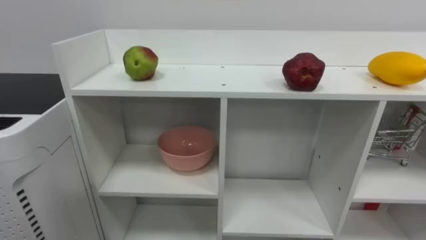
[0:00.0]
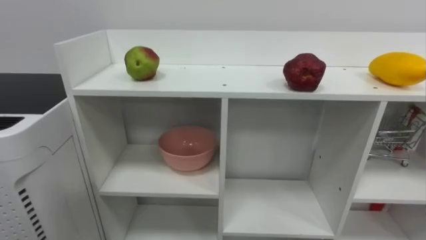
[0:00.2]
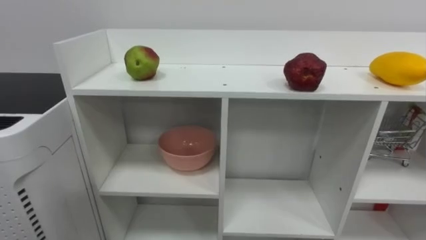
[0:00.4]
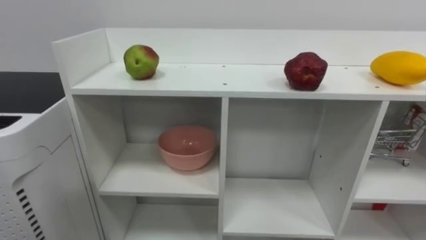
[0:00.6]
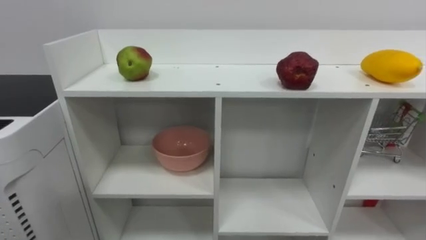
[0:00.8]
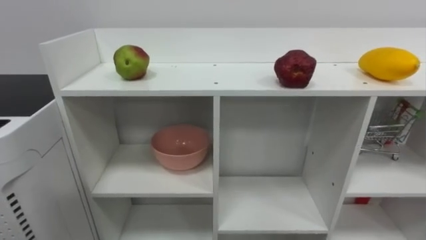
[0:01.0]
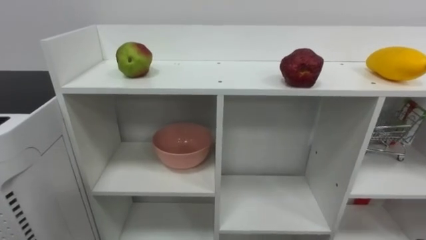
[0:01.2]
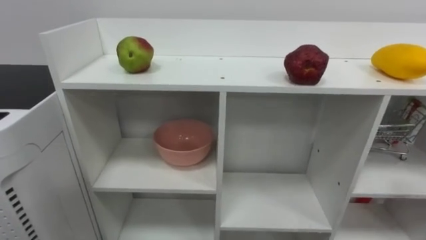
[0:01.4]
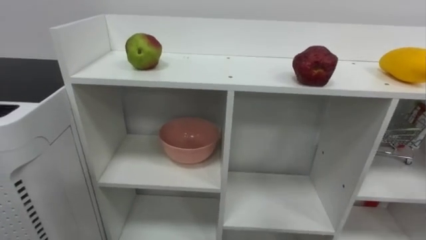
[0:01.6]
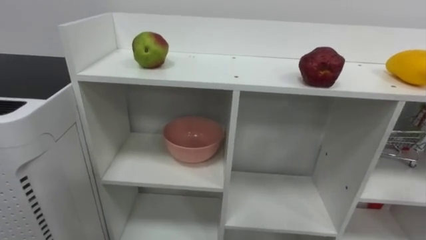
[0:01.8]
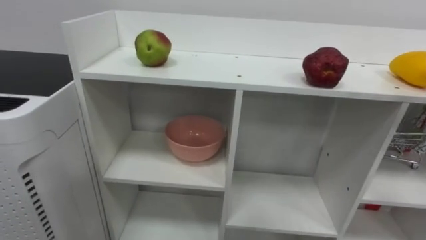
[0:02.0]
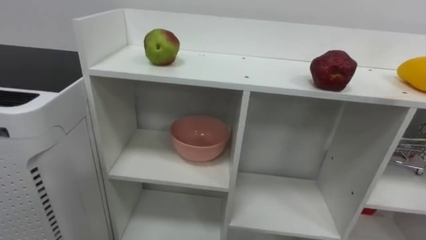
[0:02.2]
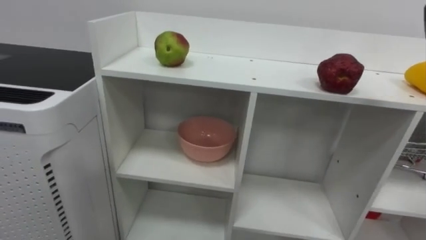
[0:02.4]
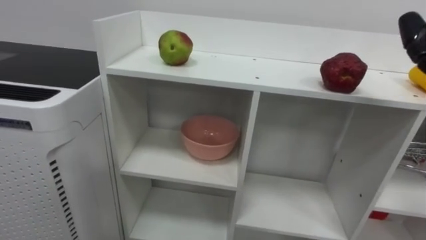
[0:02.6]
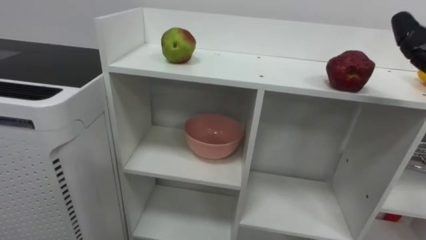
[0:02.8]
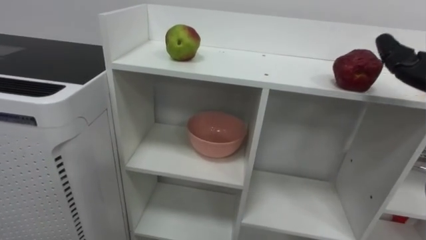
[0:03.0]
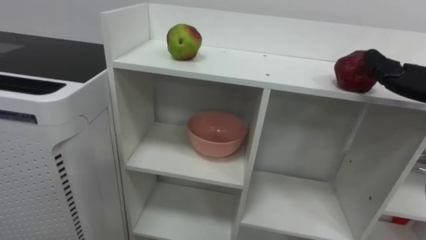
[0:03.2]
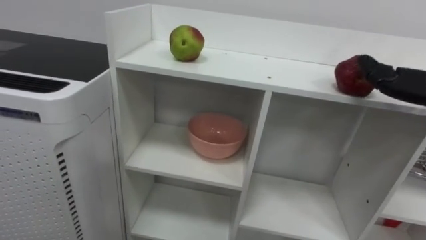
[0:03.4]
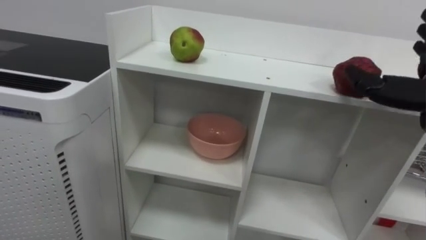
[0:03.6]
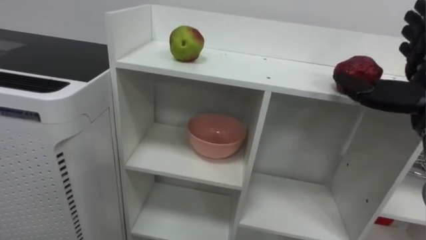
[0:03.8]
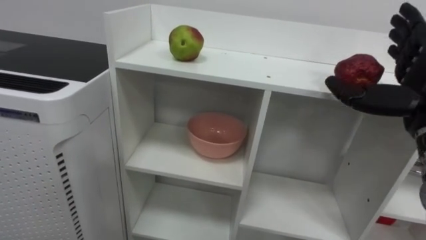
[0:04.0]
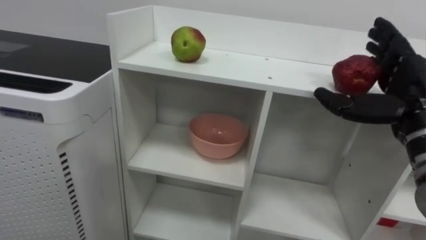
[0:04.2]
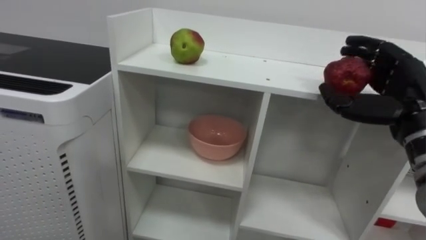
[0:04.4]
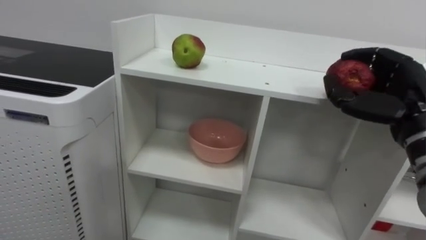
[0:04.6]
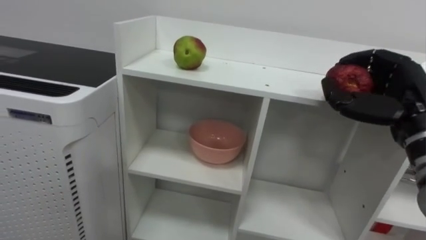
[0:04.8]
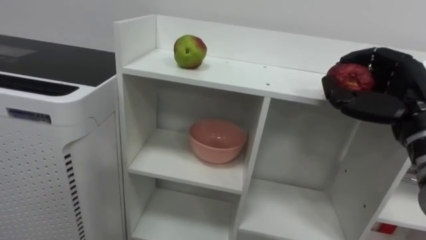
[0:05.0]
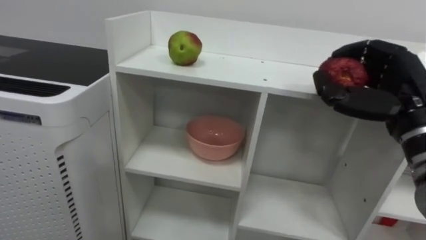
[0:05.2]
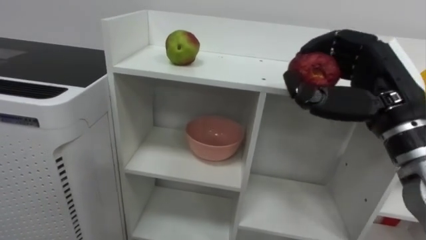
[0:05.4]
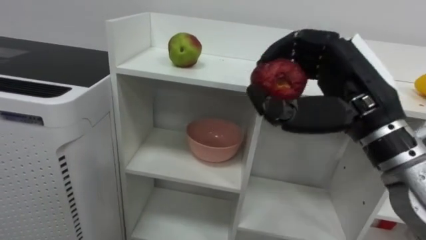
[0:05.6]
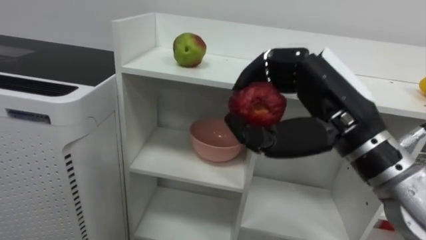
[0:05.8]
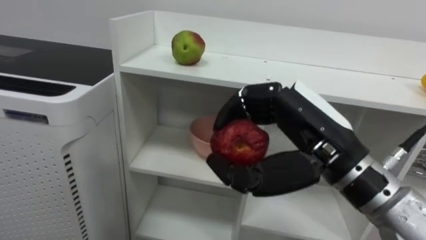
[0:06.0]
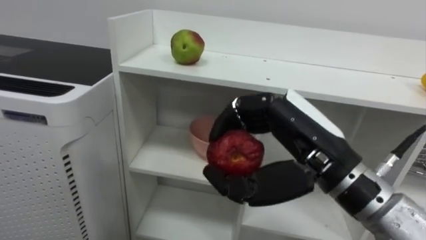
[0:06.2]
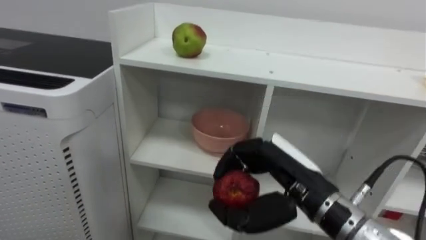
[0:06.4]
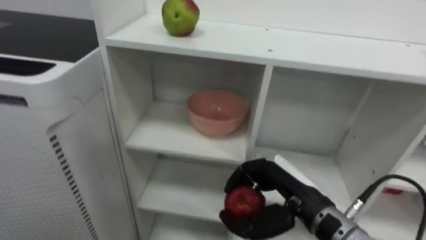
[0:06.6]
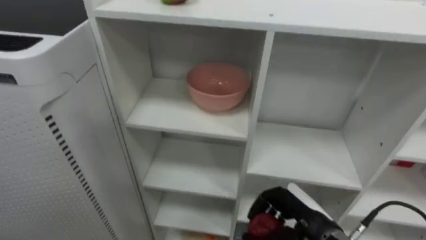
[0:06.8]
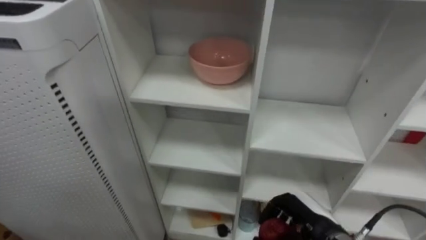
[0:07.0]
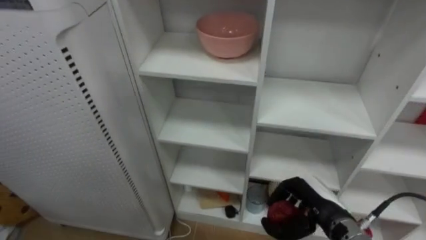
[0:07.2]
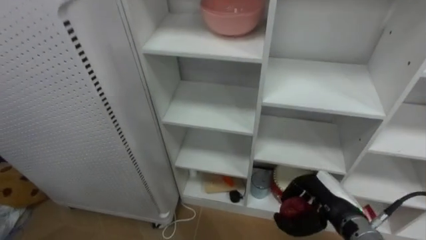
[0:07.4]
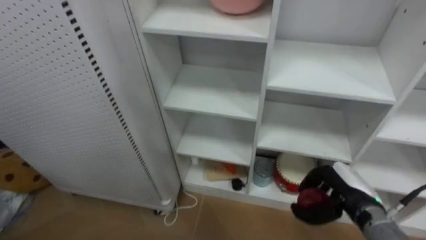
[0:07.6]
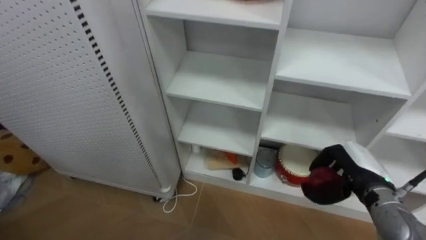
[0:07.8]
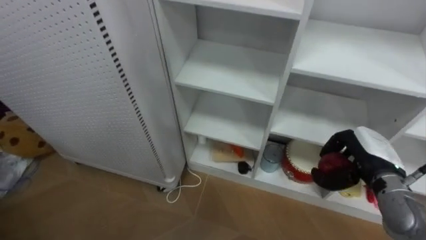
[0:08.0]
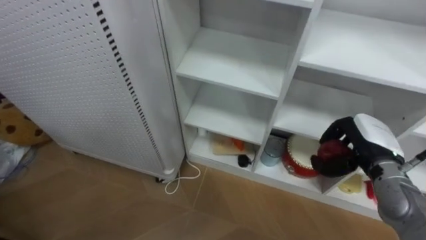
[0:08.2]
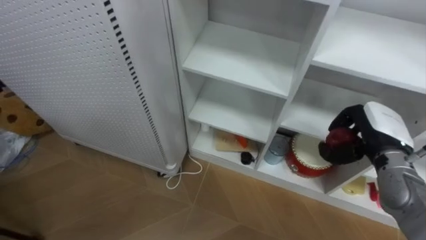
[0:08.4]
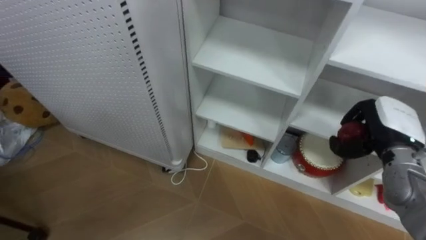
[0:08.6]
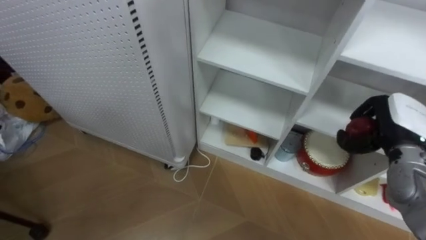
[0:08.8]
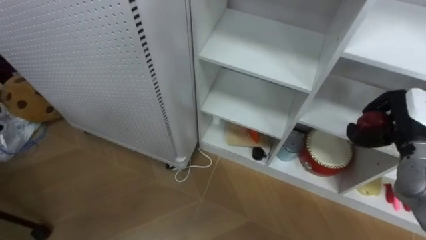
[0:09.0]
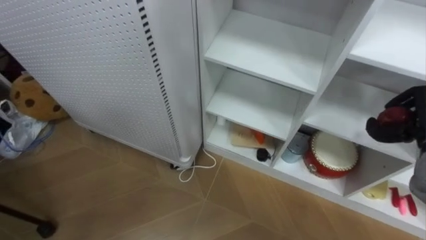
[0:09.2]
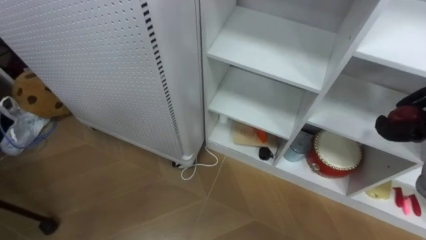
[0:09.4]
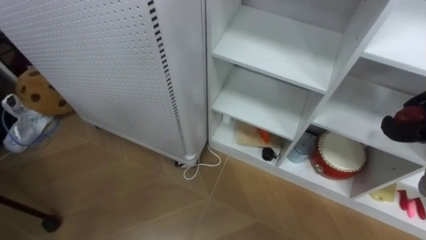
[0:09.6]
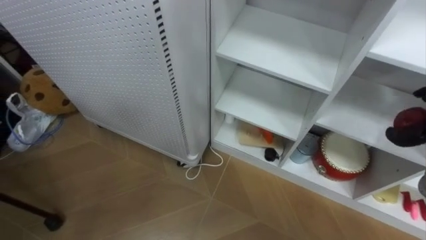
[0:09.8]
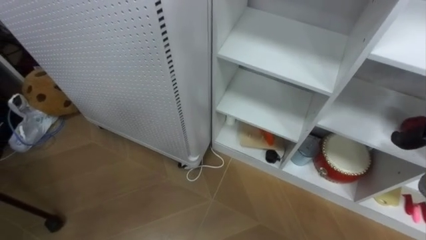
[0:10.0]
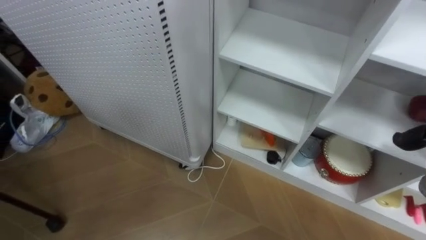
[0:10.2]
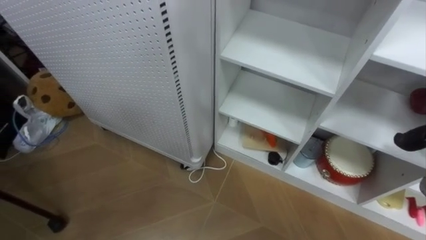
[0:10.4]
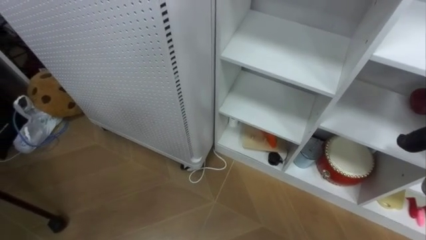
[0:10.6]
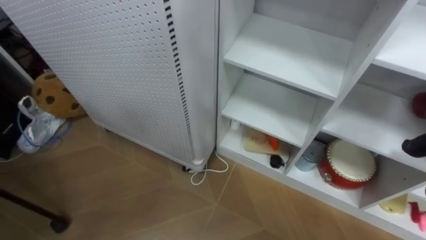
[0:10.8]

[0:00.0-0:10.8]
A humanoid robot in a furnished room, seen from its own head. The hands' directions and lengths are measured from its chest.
Task of the whole recording: Put the apple in the cell in the second column from the left and the second row from the top.
0:04.6 to 0:06.2: The right hand goes some 20 cm to the left and backward.
0:06.2 to 0:07.8: The right hand heads downward, to the right and forward, covering roughly 25 cm.

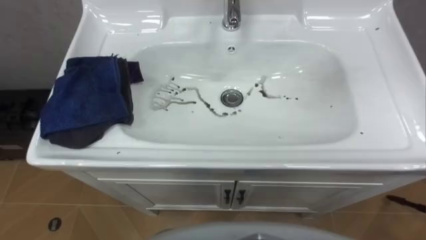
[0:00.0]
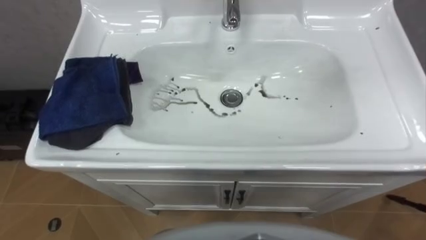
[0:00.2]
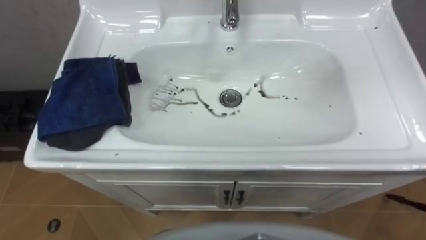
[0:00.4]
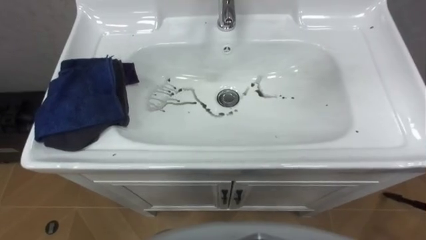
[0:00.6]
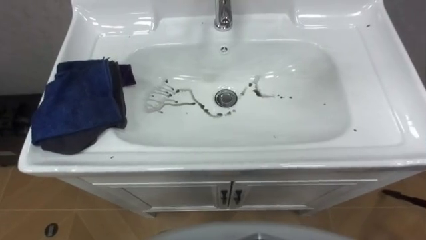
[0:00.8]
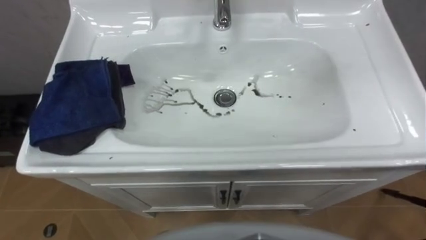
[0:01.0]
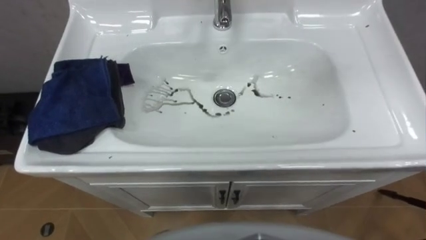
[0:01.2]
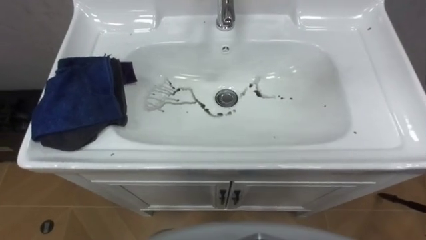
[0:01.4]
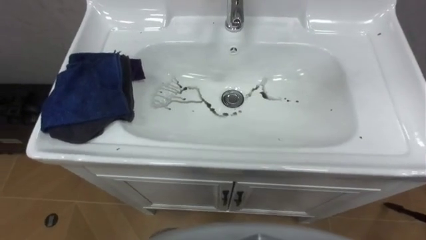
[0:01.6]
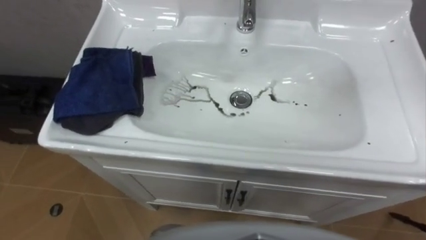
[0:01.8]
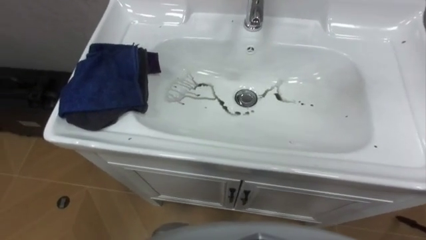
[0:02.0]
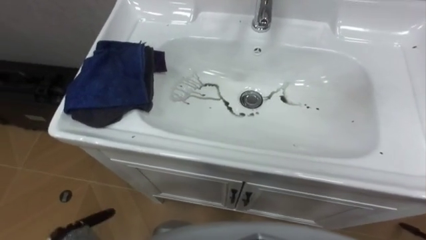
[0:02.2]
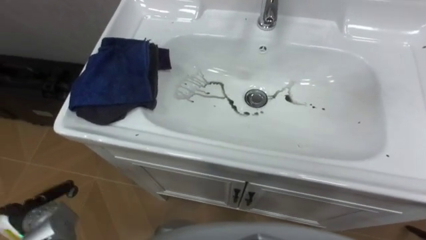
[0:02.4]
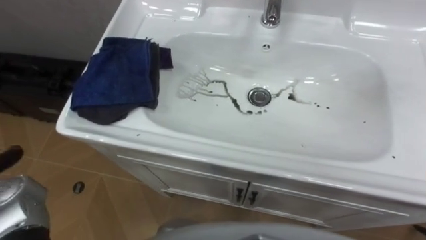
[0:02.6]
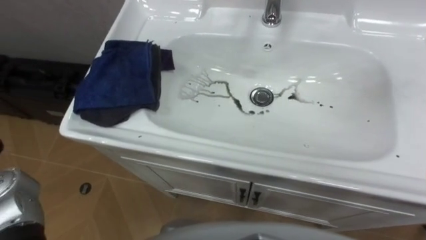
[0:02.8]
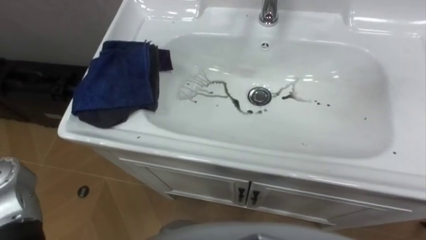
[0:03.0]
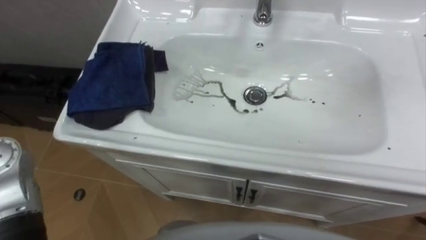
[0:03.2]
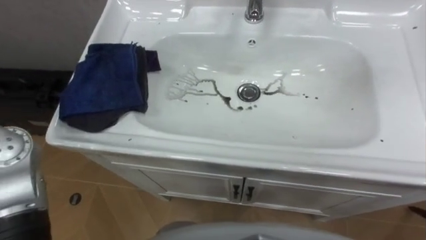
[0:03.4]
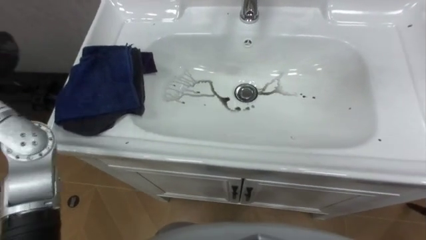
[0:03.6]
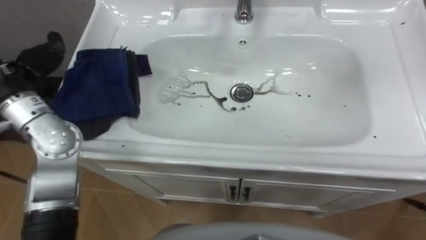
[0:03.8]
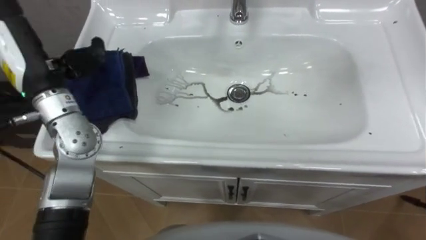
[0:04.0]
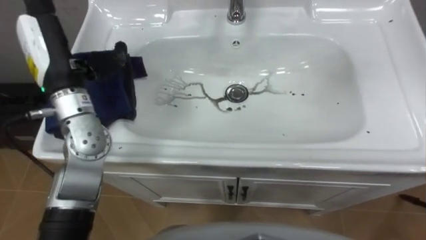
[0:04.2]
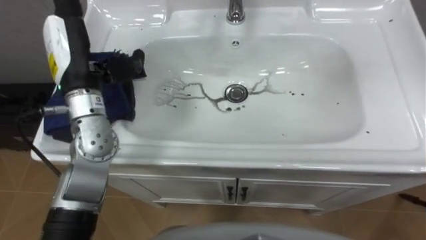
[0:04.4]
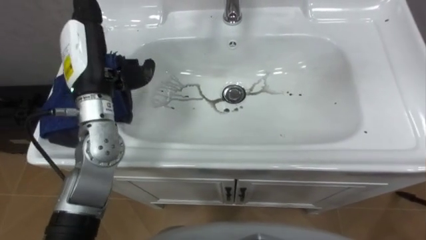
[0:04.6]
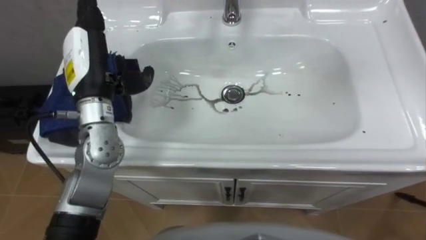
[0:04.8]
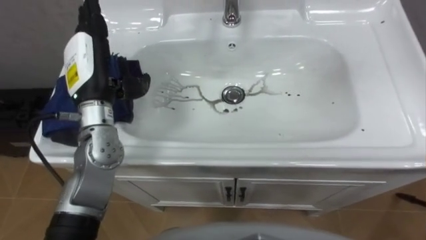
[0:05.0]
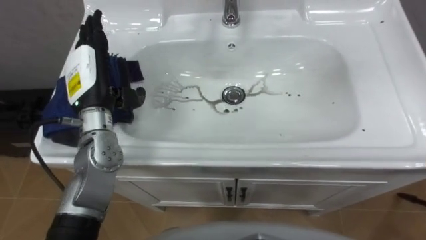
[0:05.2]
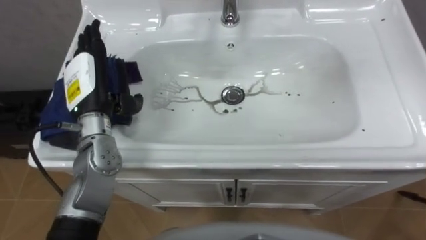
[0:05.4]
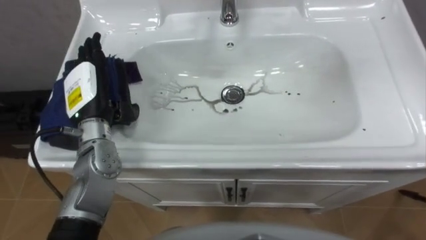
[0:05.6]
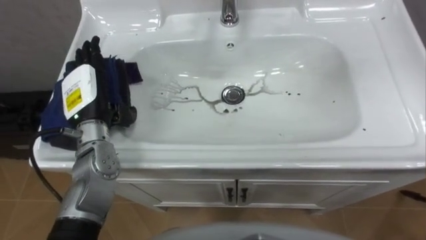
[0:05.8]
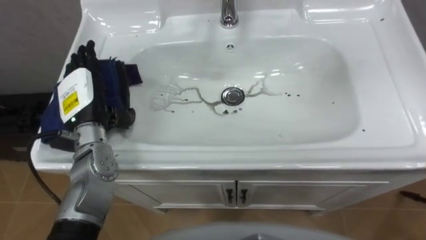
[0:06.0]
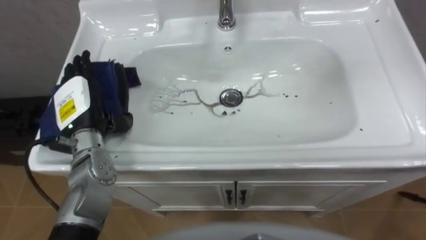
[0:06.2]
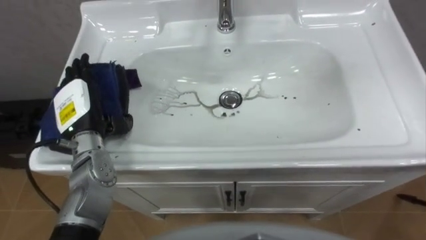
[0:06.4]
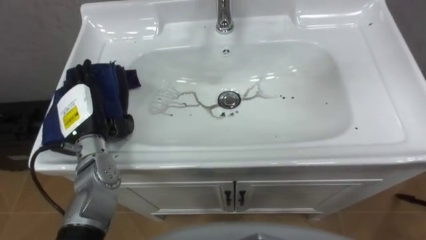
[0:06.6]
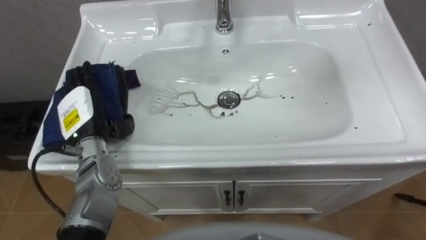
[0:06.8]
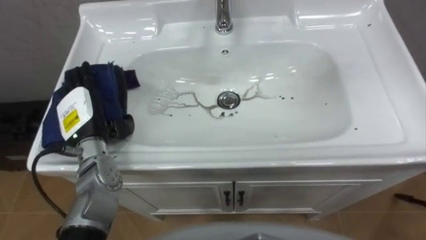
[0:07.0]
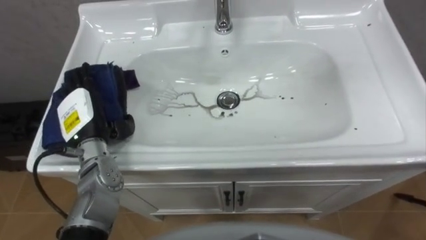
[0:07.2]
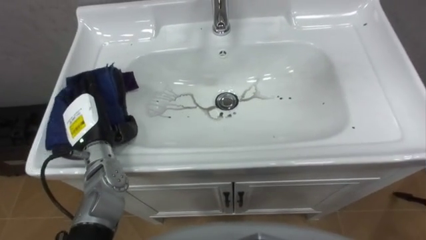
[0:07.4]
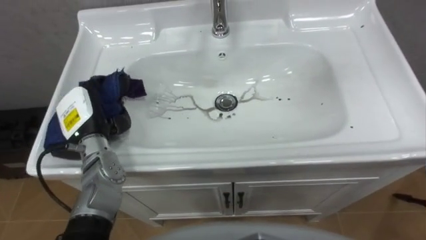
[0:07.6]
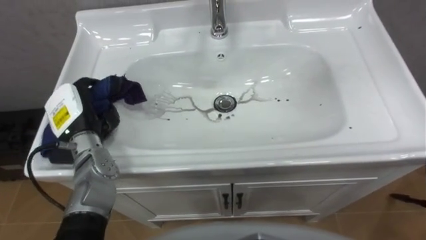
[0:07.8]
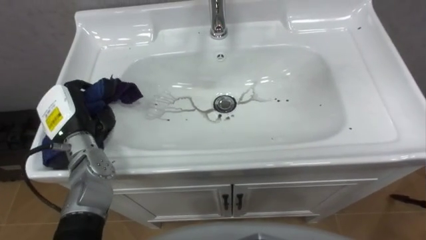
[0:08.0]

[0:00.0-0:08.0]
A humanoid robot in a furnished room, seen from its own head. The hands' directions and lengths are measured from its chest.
Task of the whole recording: Use the cloth on the right to wipe away the black stain in the sink.
0:04.8 to 0:06.4: The left hand travels downward by approximately 10 cm.
0:06.4 to 0:08.0: The left hand closes its fingers.
